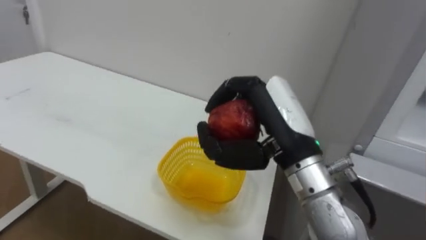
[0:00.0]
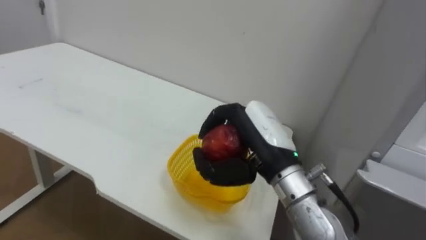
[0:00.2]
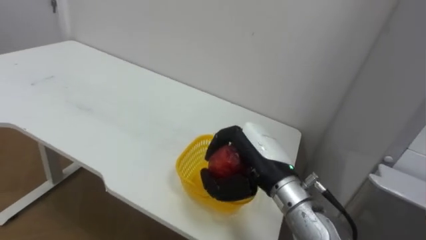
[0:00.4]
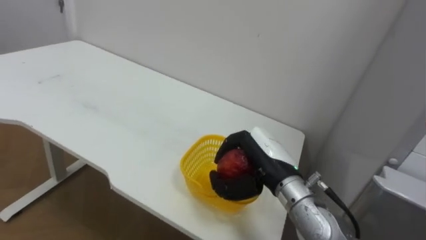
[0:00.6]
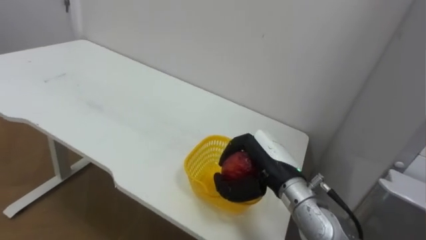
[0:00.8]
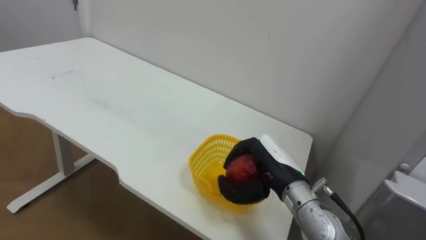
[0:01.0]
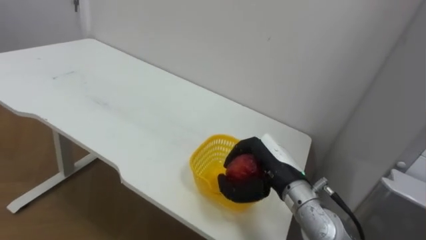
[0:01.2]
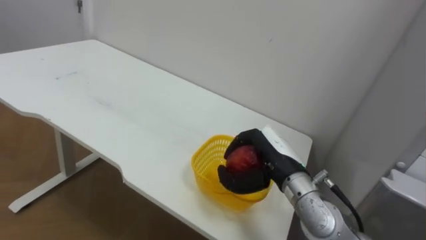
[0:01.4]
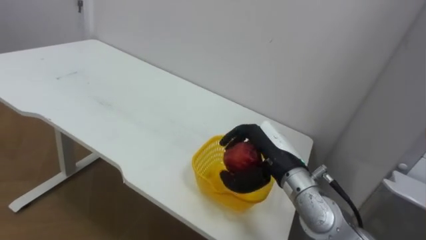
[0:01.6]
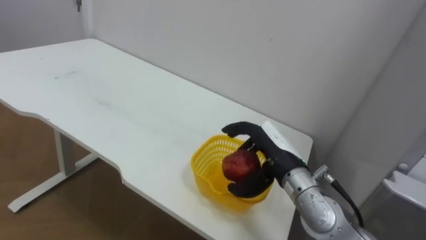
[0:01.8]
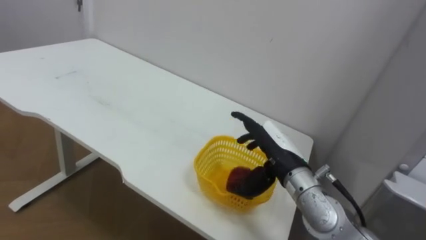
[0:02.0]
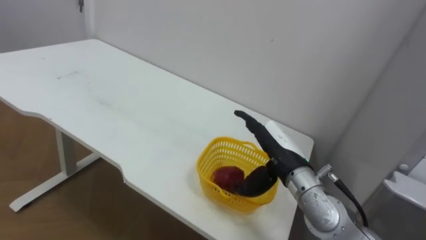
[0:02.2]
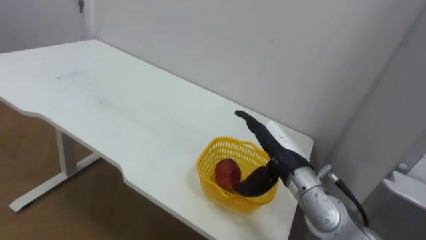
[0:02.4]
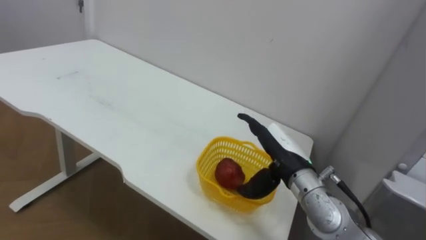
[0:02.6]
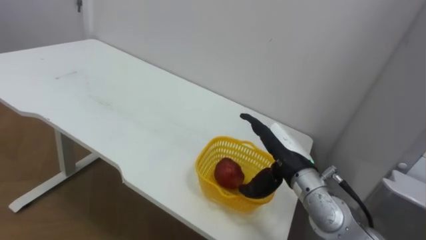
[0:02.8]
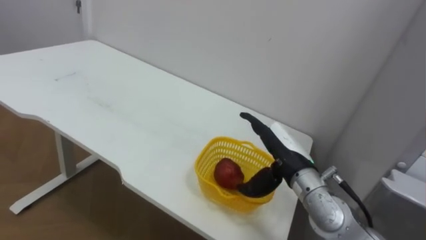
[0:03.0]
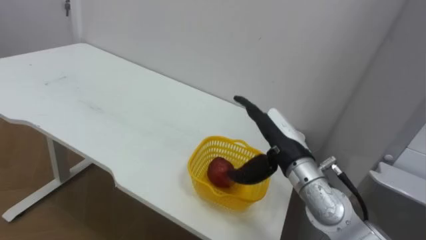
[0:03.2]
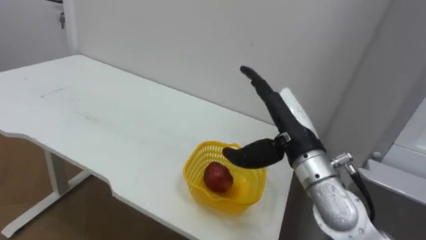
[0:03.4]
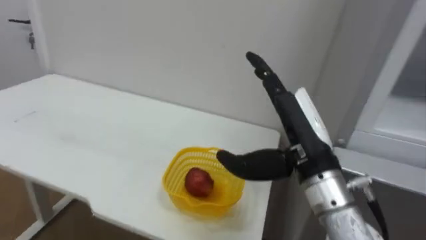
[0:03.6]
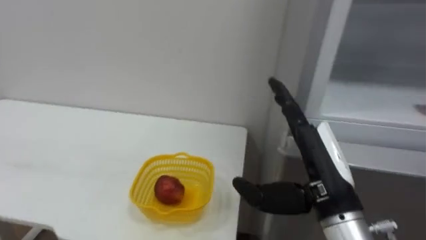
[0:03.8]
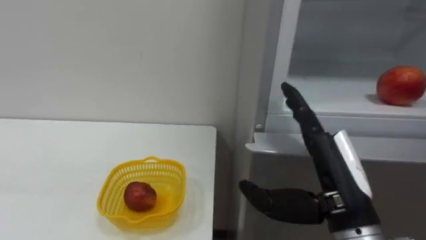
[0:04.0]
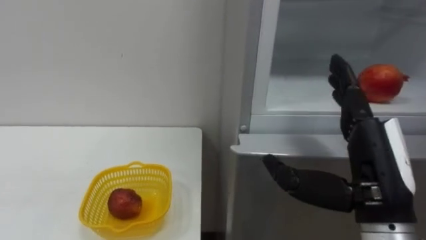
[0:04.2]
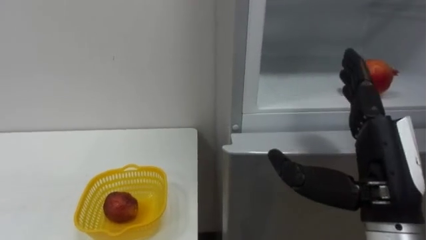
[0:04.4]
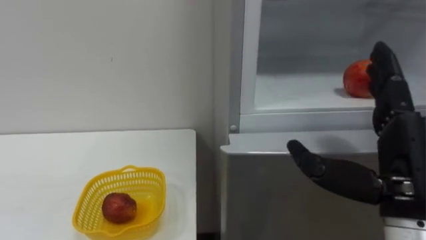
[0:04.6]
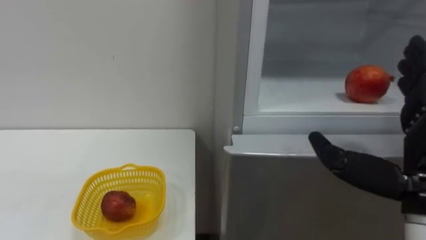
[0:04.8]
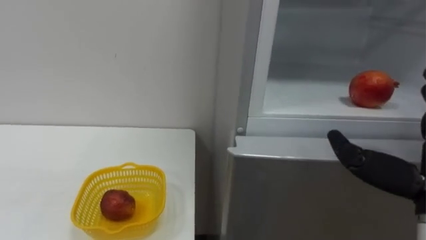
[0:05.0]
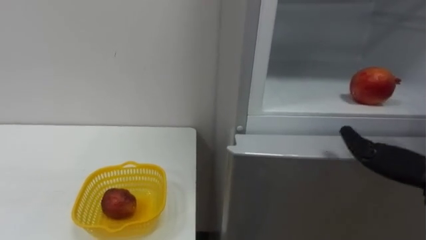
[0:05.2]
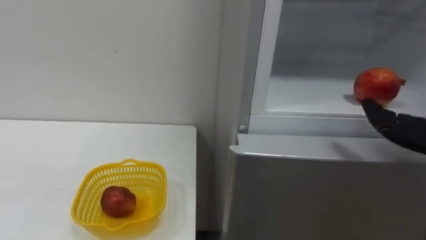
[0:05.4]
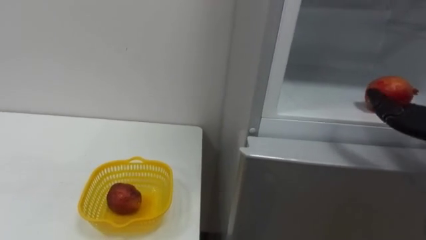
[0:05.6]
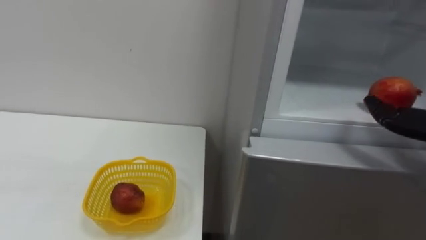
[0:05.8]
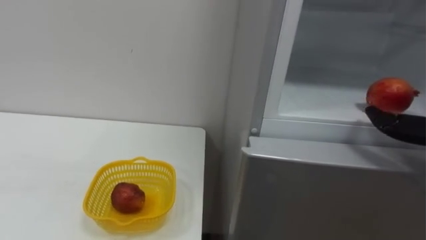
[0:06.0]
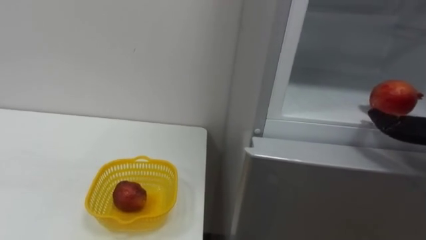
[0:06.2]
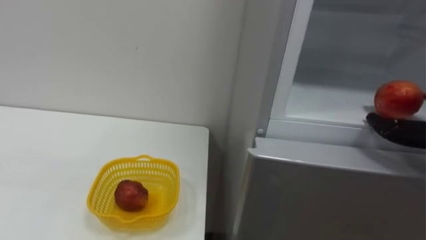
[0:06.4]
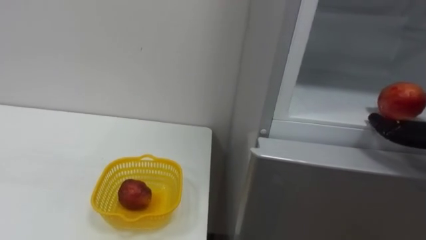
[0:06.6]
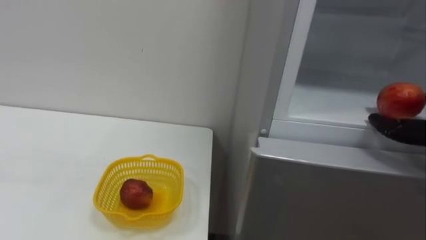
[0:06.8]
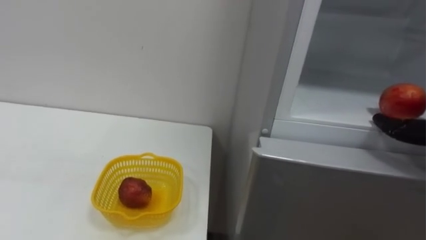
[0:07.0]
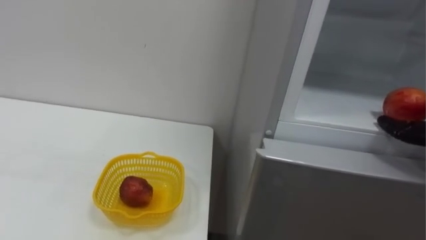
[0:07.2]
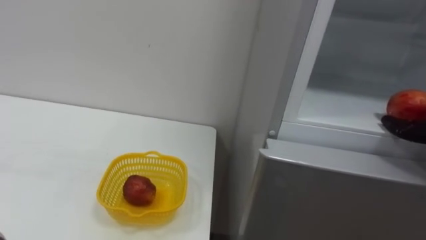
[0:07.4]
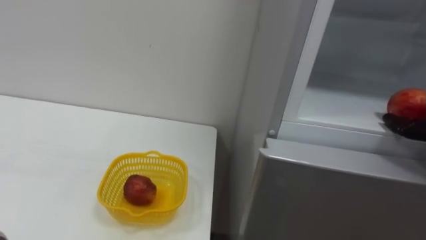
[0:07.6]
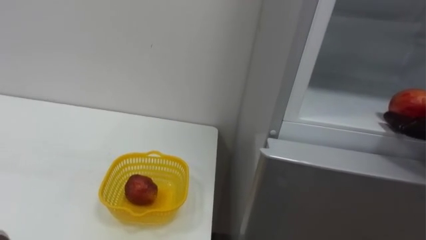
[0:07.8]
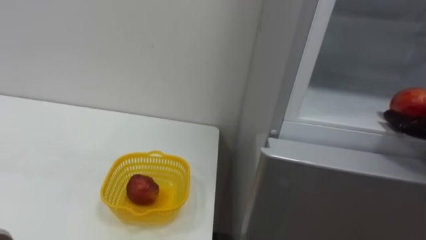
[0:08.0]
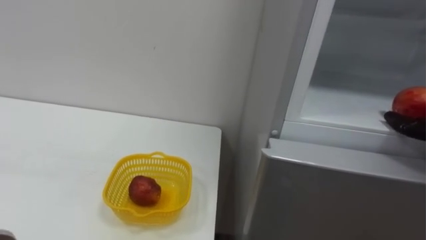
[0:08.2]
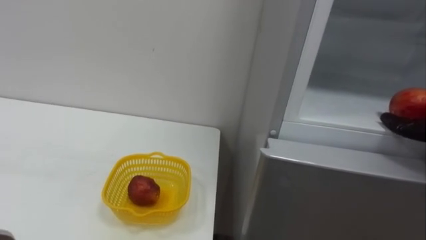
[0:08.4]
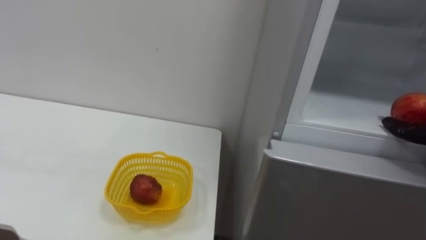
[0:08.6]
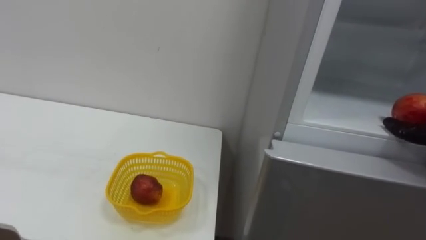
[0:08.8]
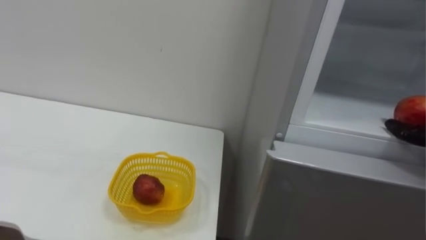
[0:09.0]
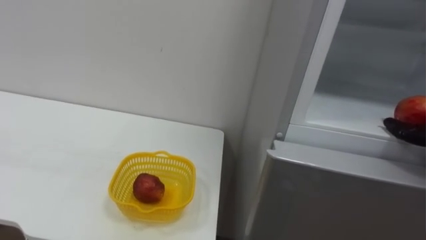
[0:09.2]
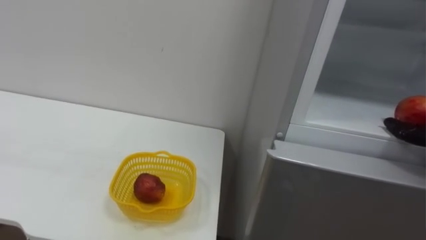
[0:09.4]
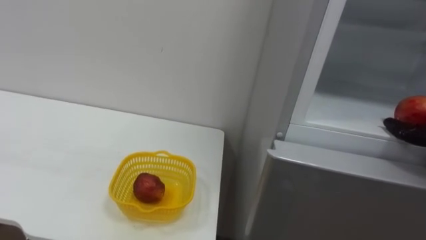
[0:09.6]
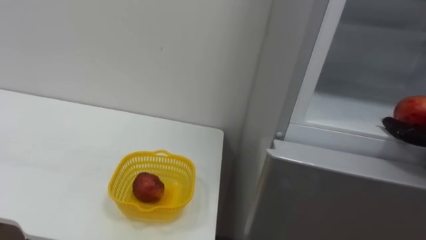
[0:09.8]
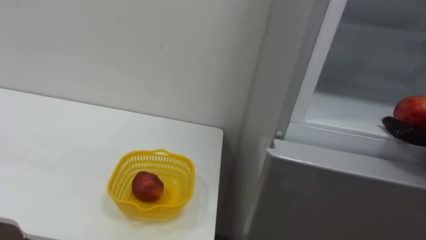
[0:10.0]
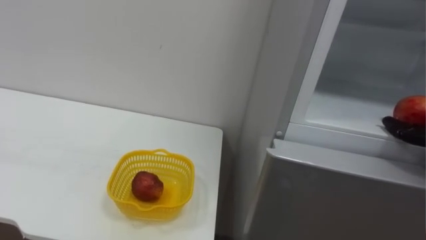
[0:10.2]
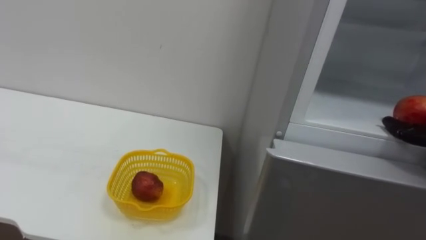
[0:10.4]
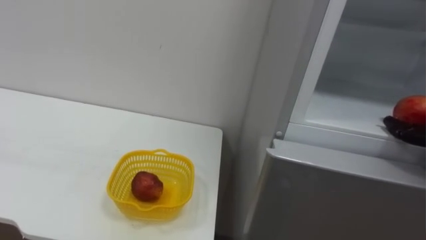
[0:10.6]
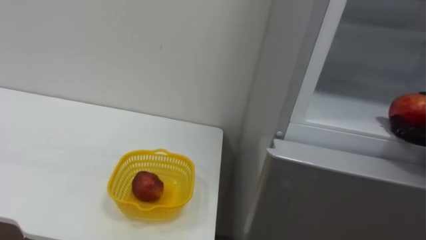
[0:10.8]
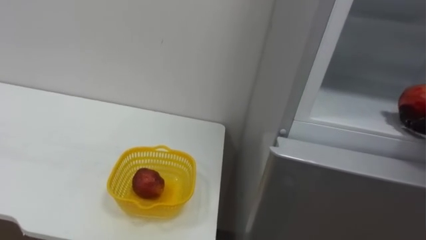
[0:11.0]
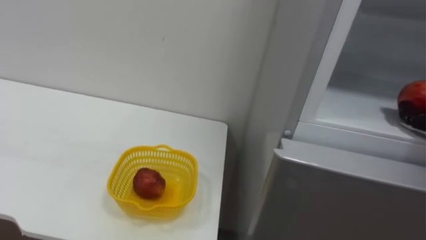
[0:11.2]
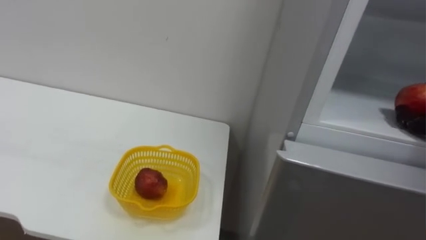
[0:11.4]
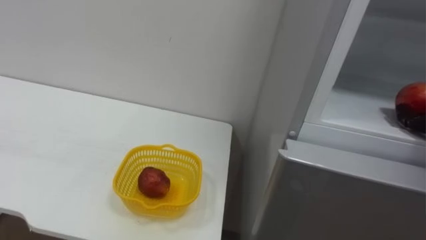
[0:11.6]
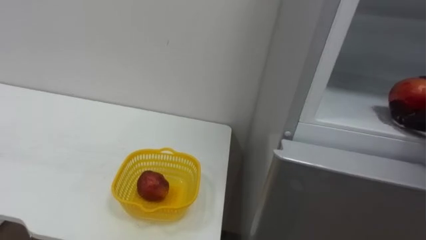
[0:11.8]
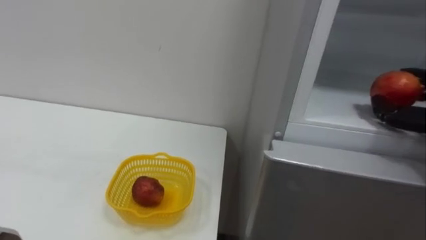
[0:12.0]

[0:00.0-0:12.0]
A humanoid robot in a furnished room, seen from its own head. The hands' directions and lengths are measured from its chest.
Task of the whole recording: Open the refrigerator door, take out the apple and the pomegranate, place them in the fruit basket on the left, and close the refrigerator door.
0:00.0 to 0:01.6: The right hand travels downward and forward by roughly 15 cm.
0:01.6 to 0:03.0: The right hand opens its fingers.
0:03.0 to 0:04.4: The right hand goes some 20 cm backward, upward and to the right.

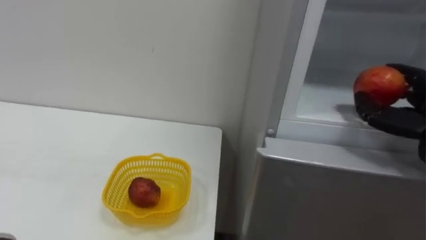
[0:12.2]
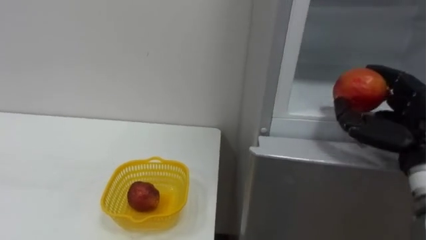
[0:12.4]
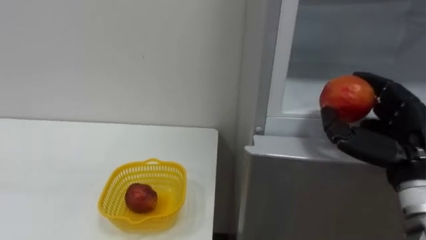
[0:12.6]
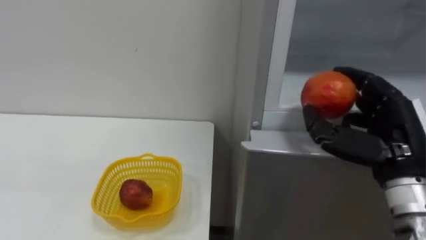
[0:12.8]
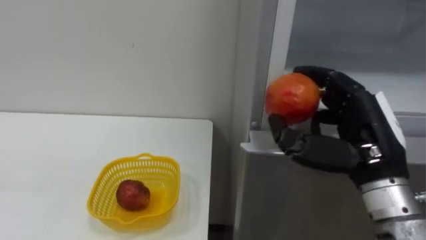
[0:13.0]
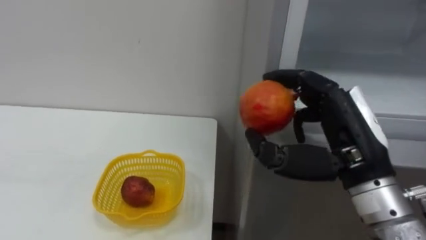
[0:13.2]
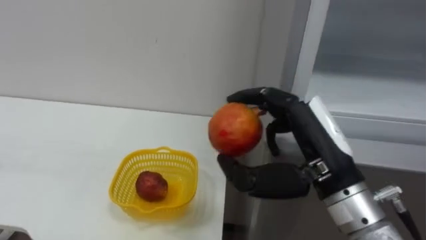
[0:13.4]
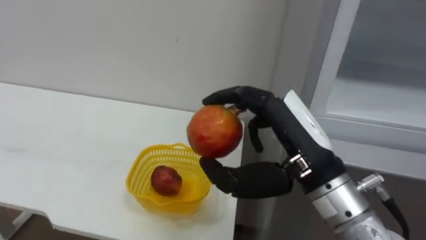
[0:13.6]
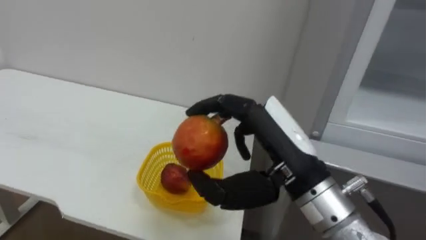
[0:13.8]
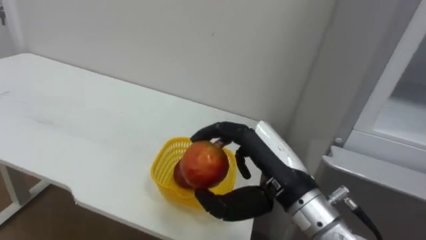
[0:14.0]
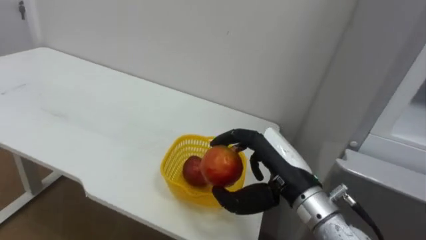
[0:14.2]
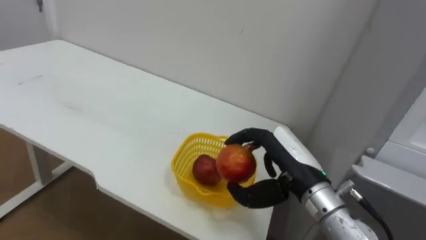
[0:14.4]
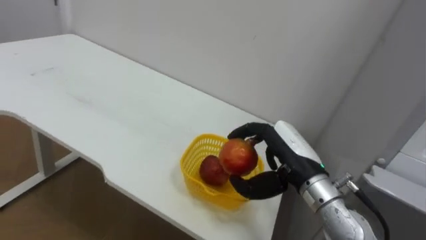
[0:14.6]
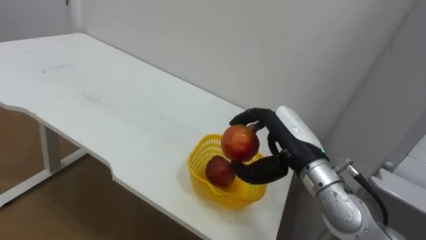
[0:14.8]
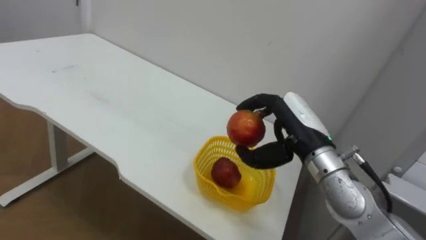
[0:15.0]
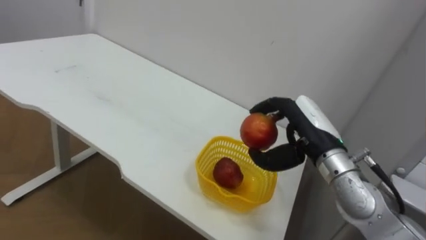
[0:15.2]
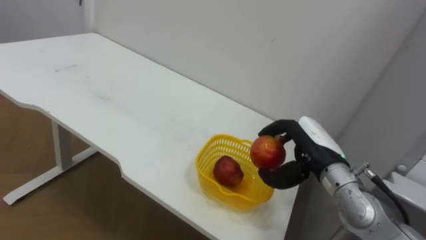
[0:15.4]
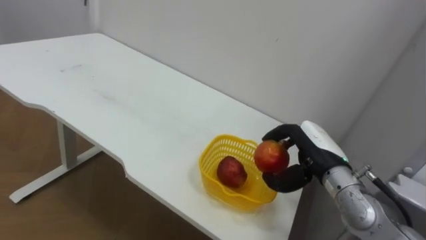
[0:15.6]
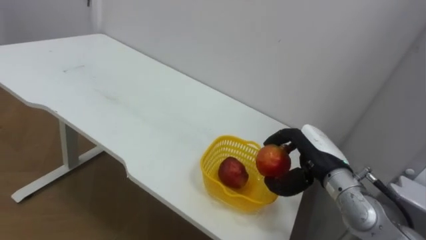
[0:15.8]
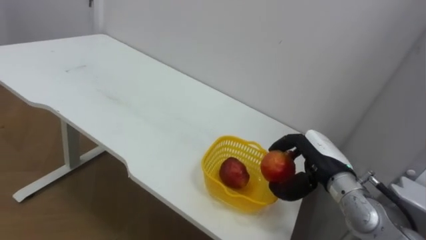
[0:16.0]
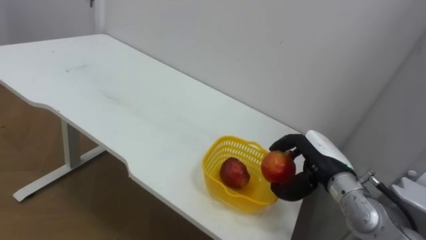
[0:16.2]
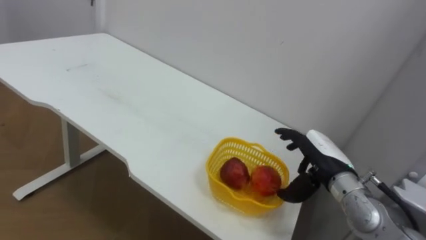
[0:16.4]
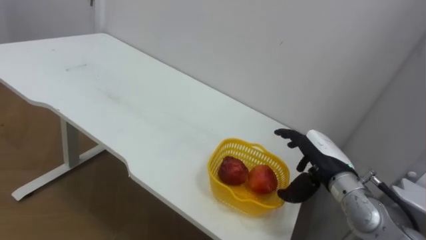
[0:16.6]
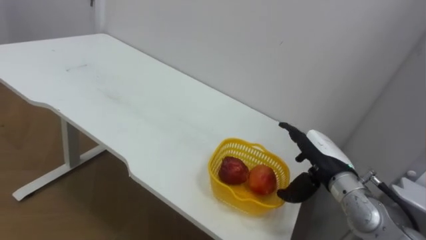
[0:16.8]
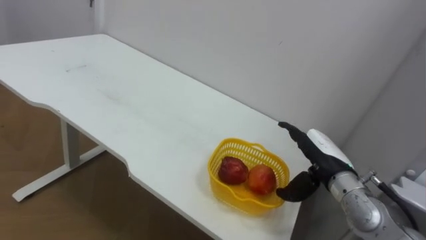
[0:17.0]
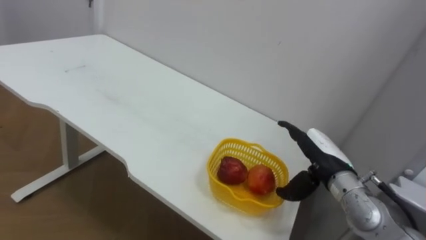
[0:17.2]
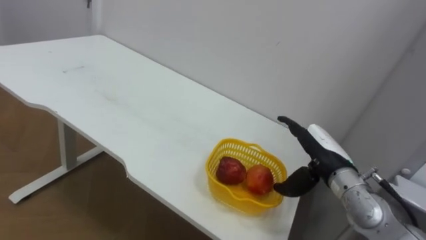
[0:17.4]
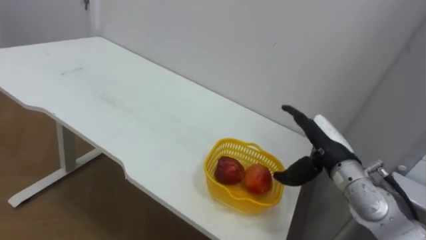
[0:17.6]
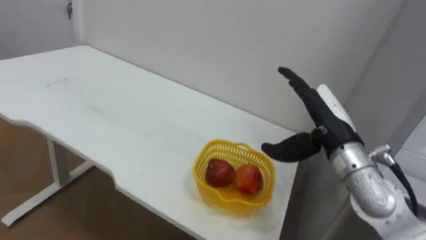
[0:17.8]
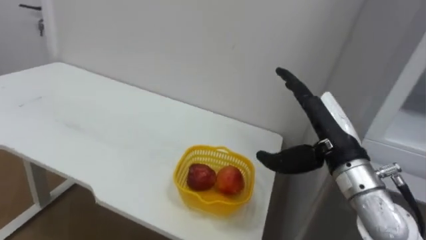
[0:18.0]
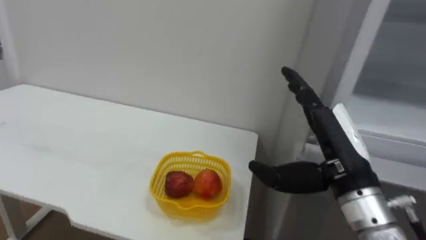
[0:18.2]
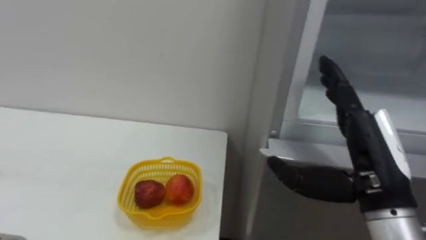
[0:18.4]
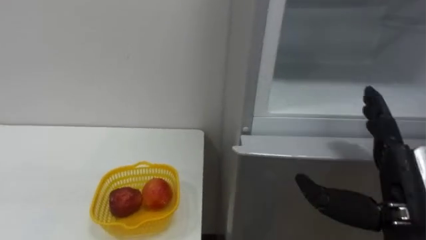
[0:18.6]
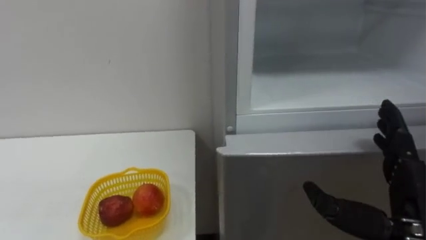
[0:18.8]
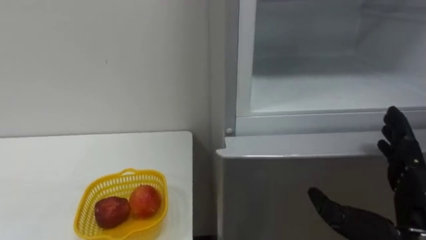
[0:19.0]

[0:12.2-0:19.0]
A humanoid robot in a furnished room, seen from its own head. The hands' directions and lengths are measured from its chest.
Task of the whole recording: Open the refrigerator door, take out the apple and the pomegranate, place them in the fruit basket on the left, and close the refrigerator door.
0:13.6 to 0:15.0: The right hand shifts approximately 10 cm forward.
0:15.0 to 0:16.2: The right hand heads downward and to the right, covering approximately 10 cm.
0:16.2 to 0:17.6: The right hand opens up.
0:17.6 to 0:19.0: The right hand heads backward, covering approximately 15 cm.
